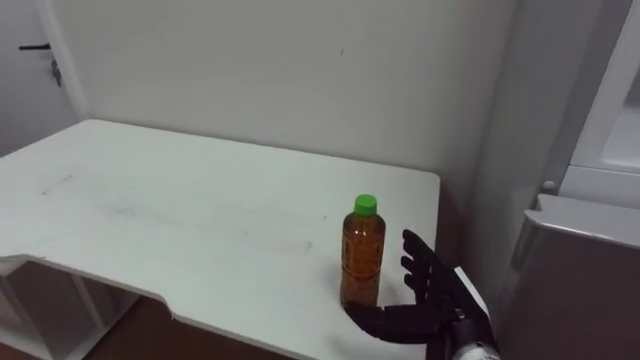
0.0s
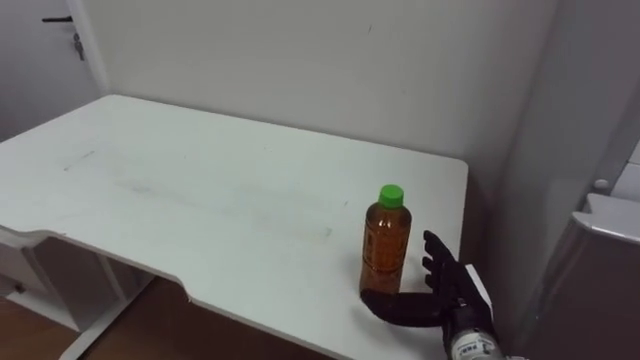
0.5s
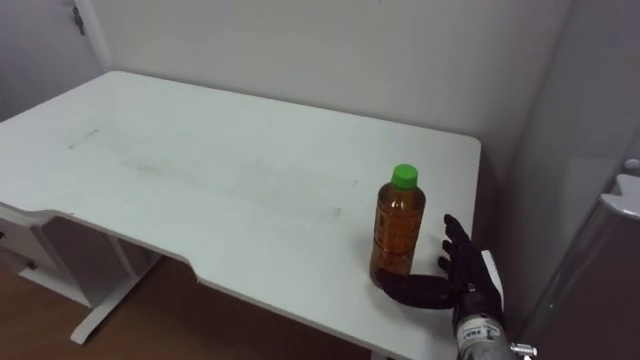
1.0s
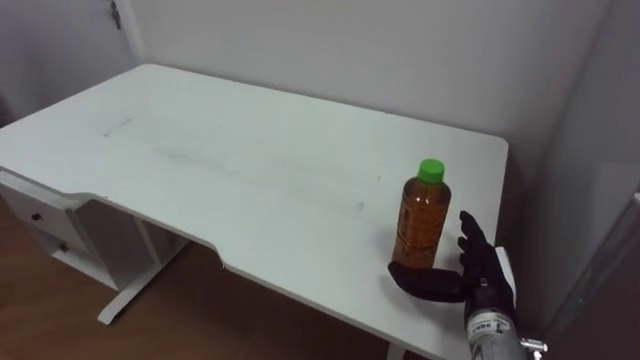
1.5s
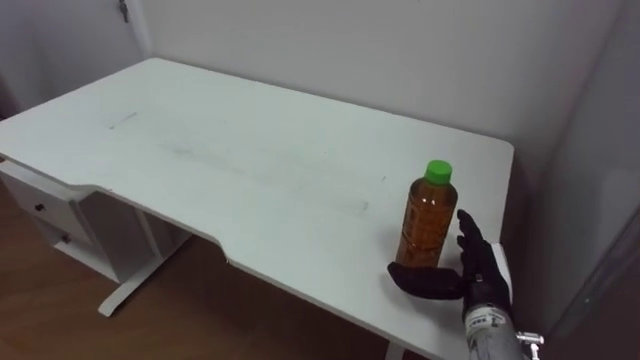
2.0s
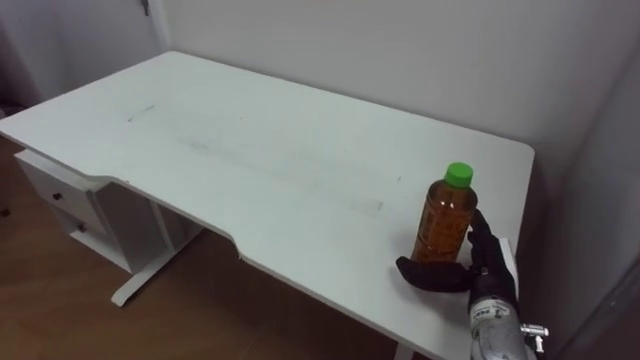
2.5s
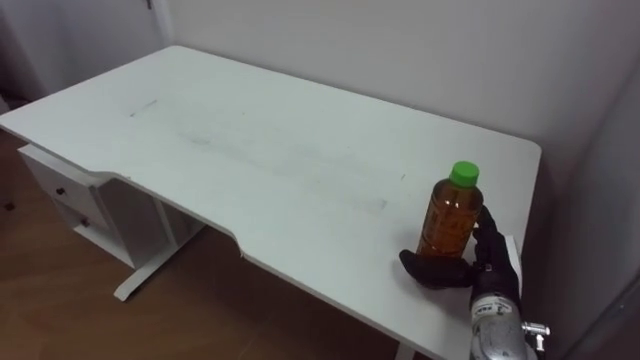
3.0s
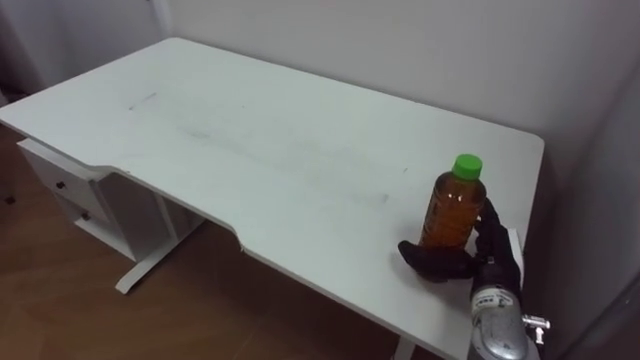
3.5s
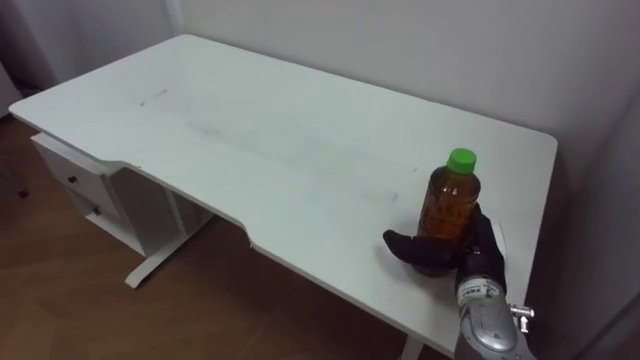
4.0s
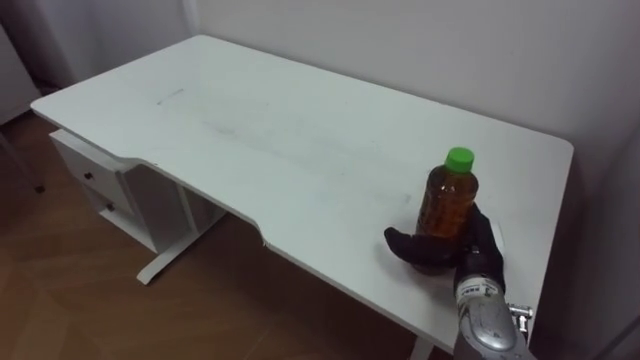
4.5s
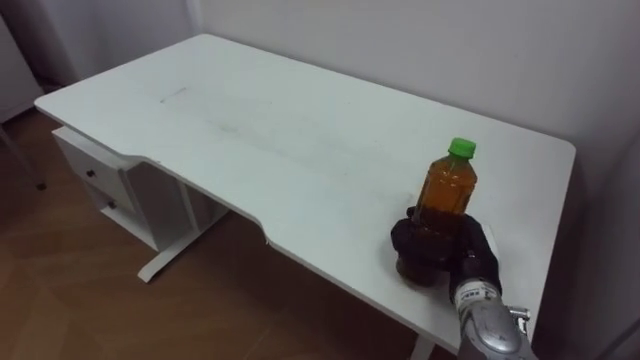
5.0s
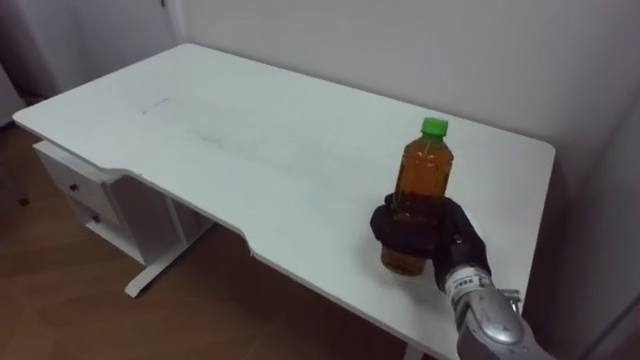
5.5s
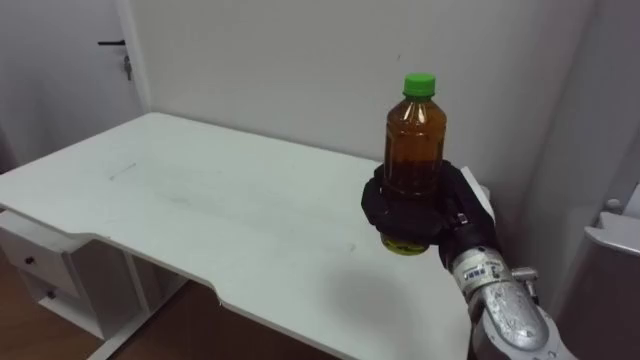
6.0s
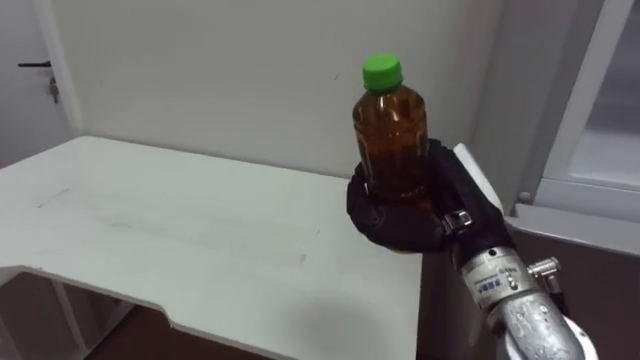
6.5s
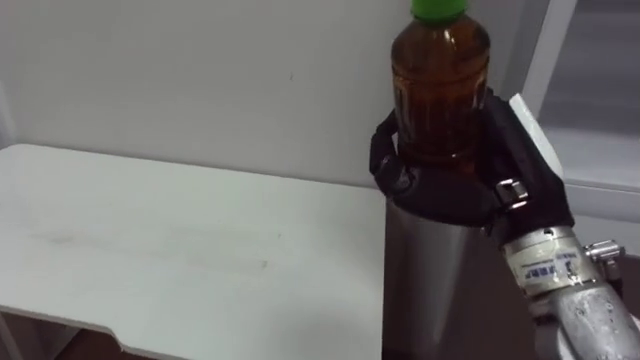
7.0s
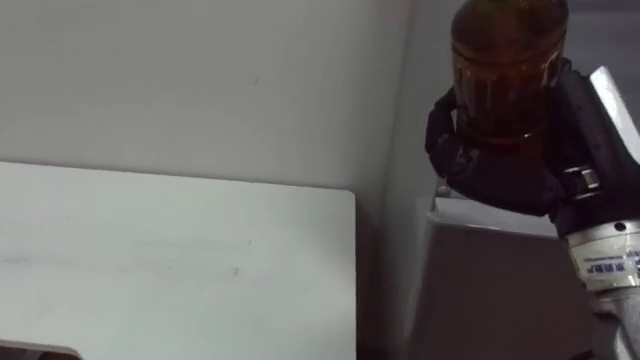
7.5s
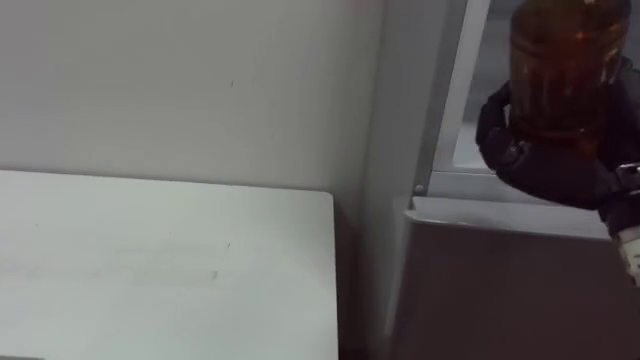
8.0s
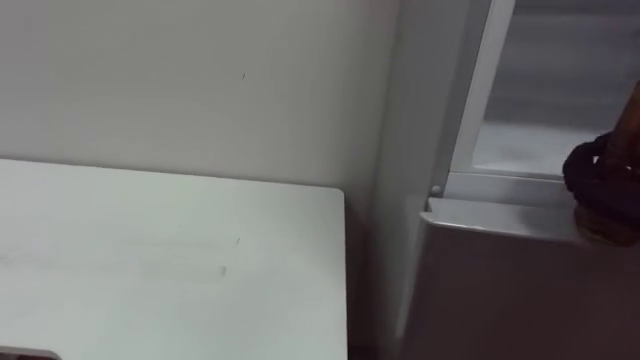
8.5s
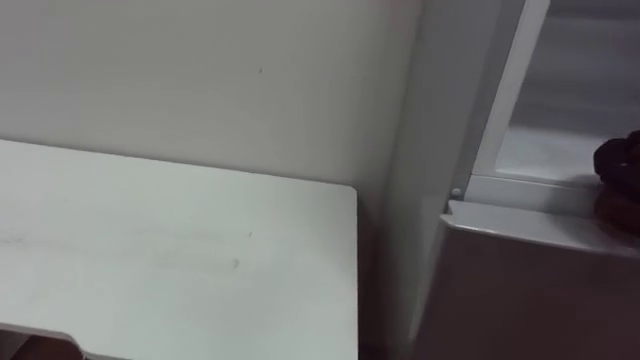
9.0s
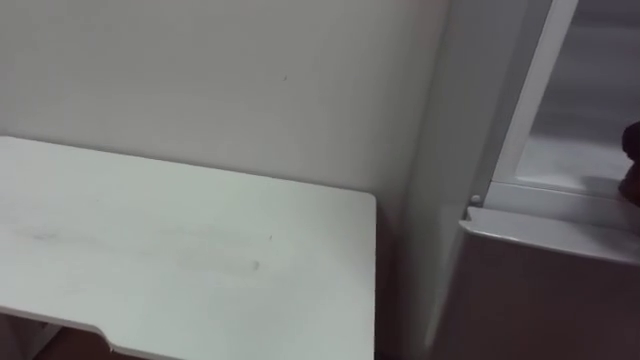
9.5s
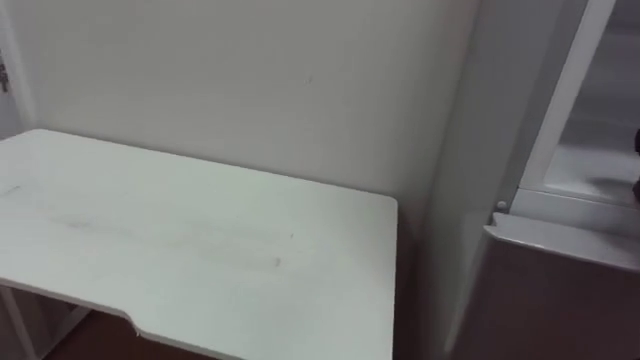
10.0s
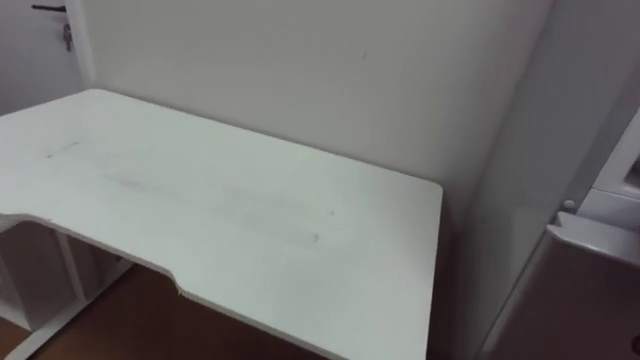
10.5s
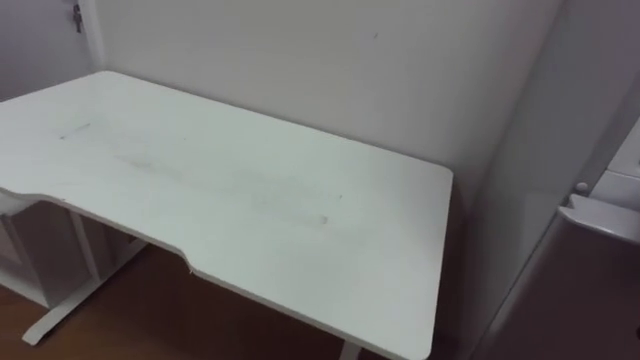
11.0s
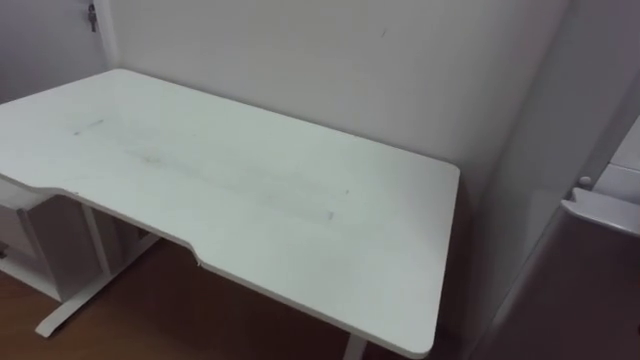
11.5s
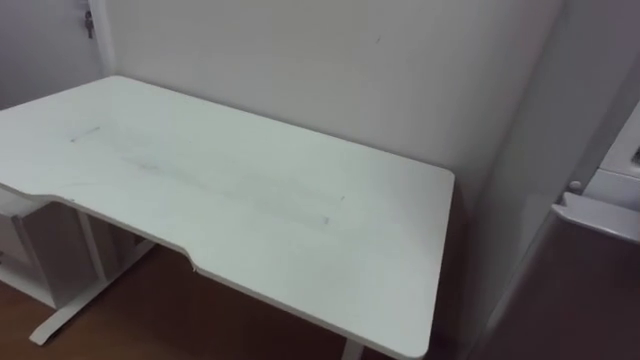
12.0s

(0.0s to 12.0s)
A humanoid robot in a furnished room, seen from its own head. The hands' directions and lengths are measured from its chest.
Task of the whole recording: Open the upper refrigerator door, put the drink from the table into the refrigerator, and then close the refrigerator door.
0.0s - 2.0s: The right hand changes place by about 5 cm.
4.0s - 6.0s: The right hand moves upward, some 10 cm, and closes its fingers.
6.0s - 8.0s: The right hand is displaced upward, backward and to the right by some 15 cm.

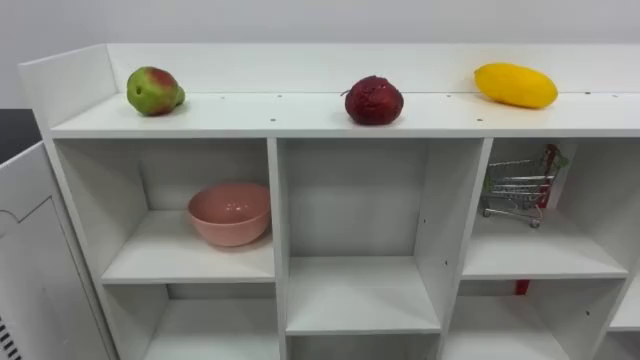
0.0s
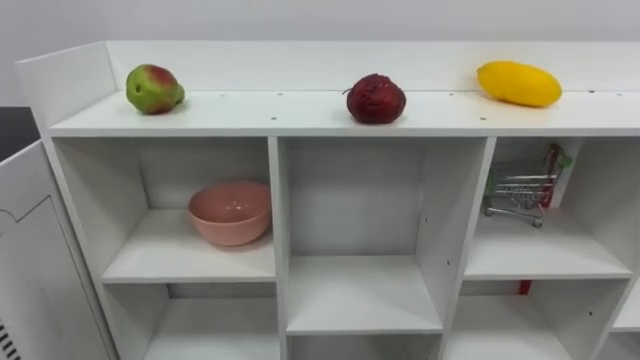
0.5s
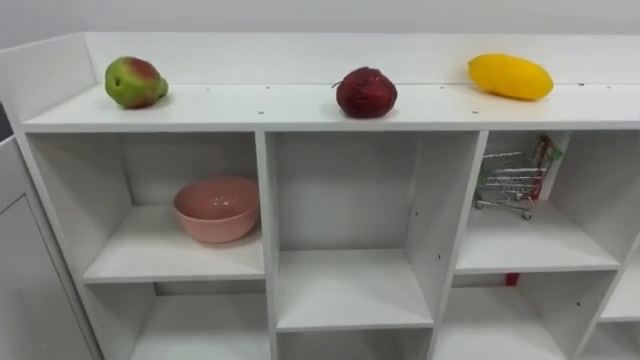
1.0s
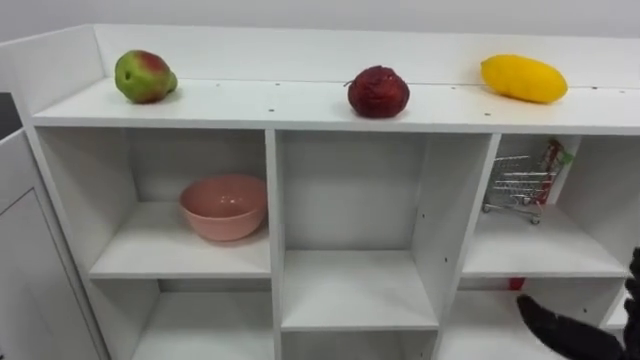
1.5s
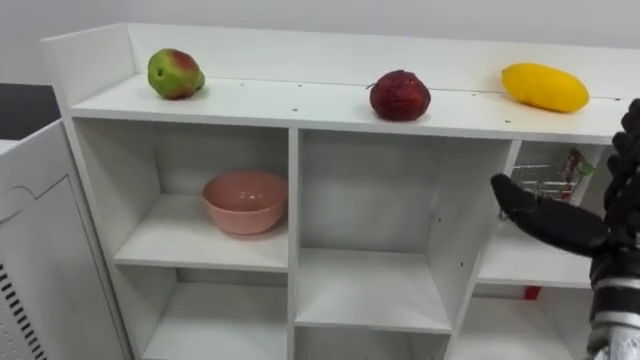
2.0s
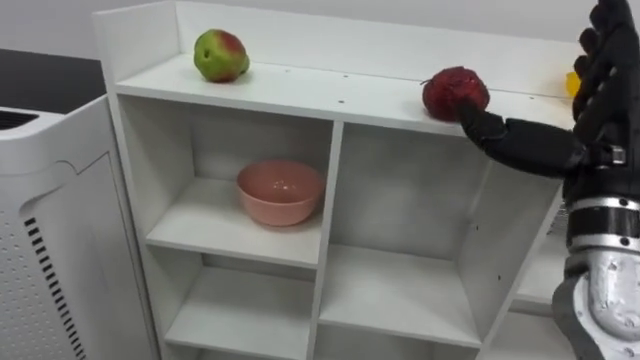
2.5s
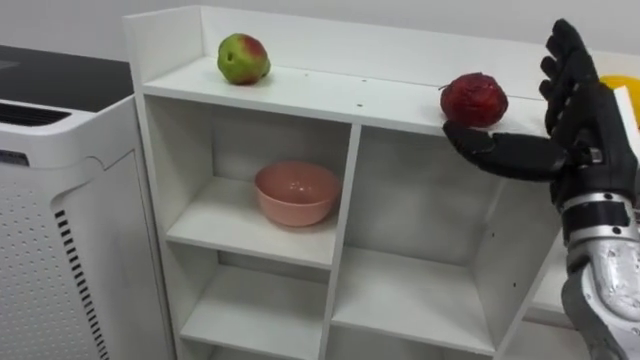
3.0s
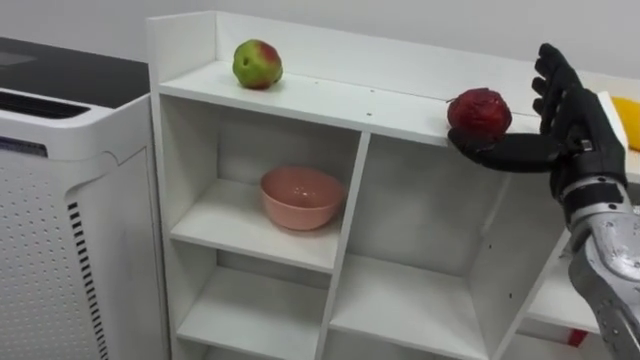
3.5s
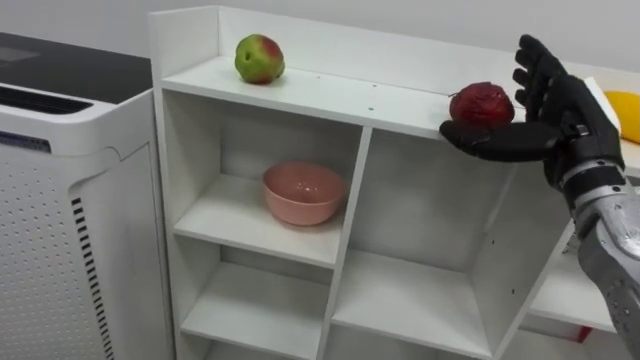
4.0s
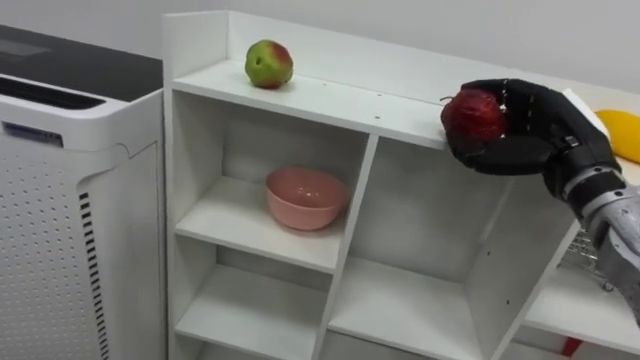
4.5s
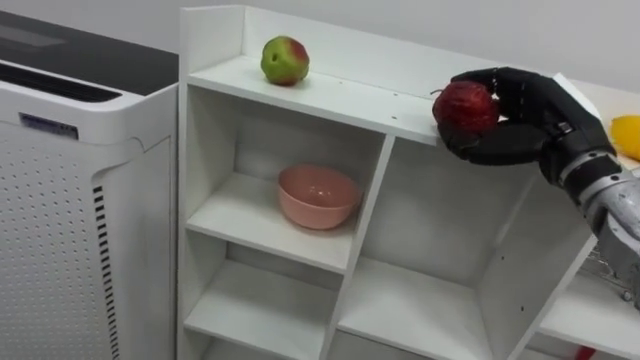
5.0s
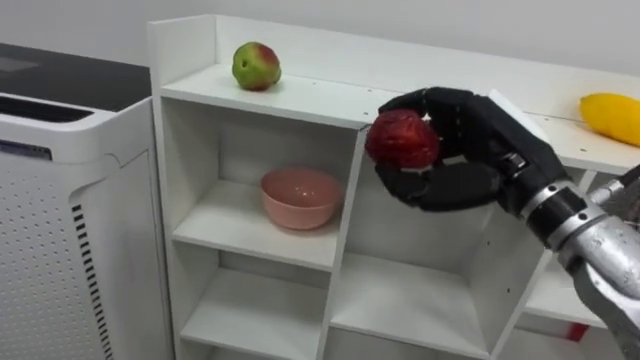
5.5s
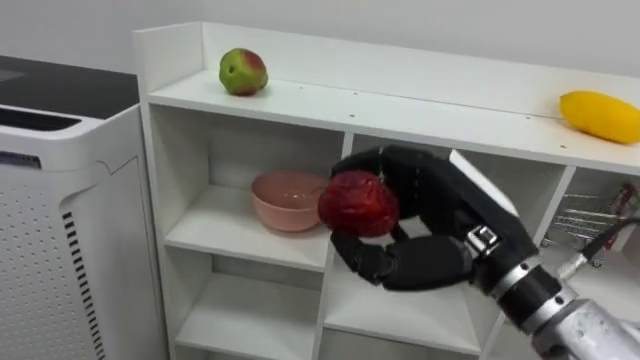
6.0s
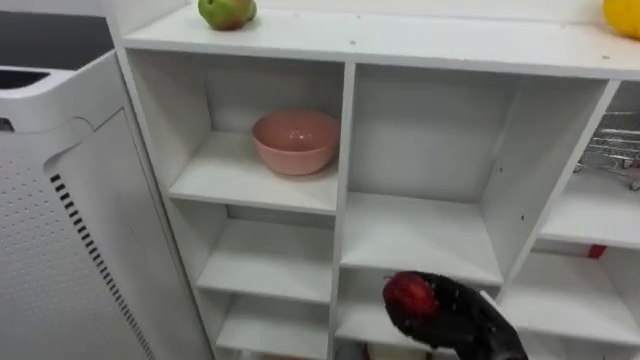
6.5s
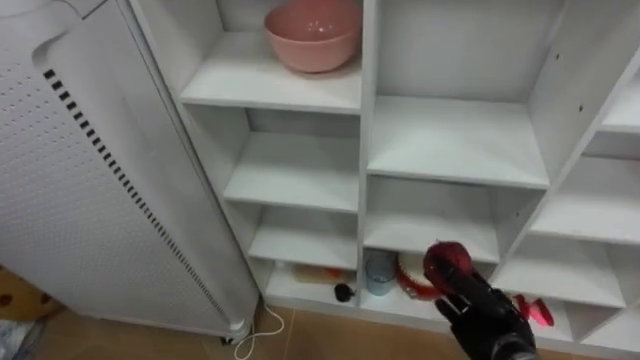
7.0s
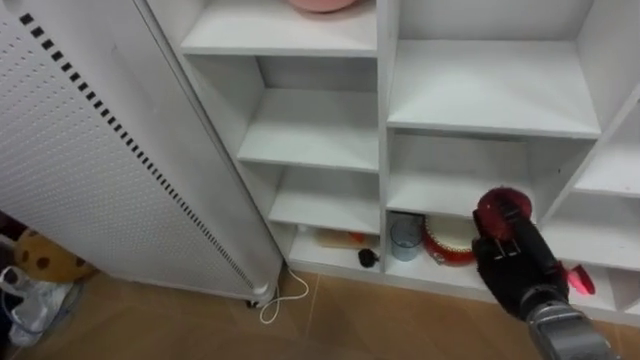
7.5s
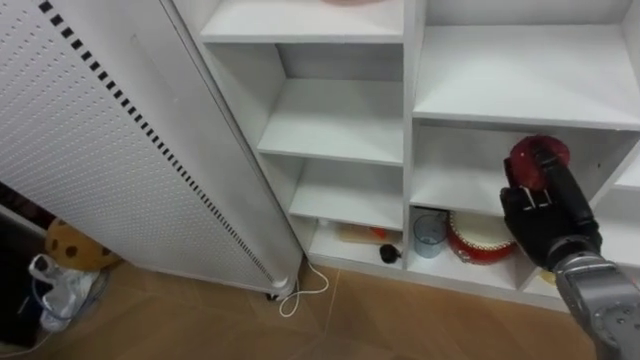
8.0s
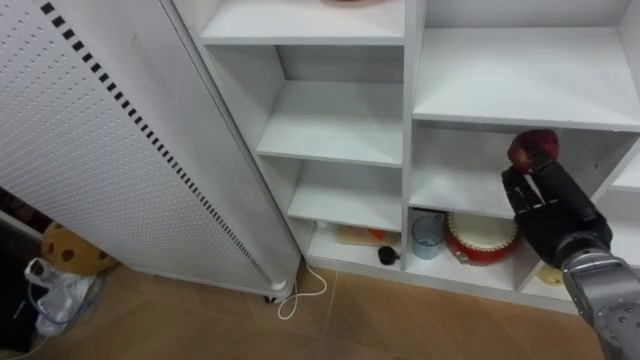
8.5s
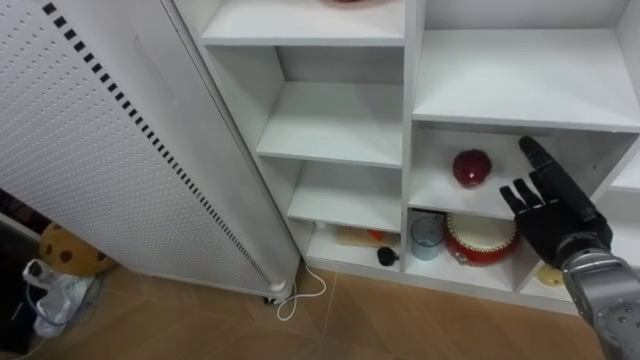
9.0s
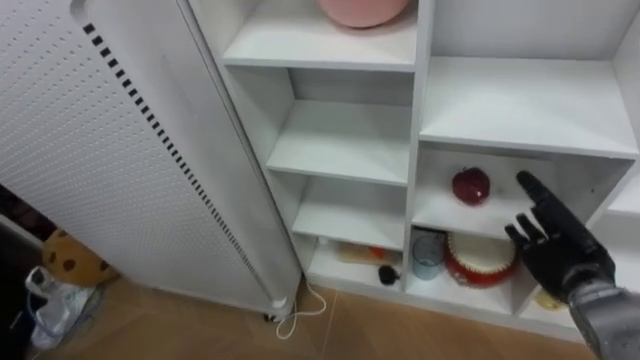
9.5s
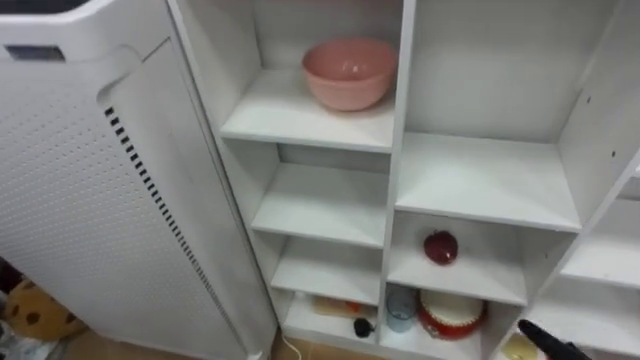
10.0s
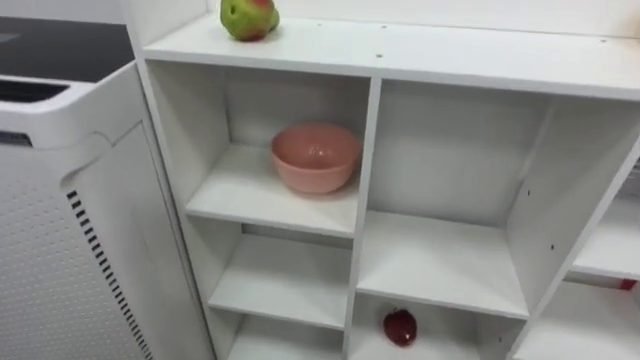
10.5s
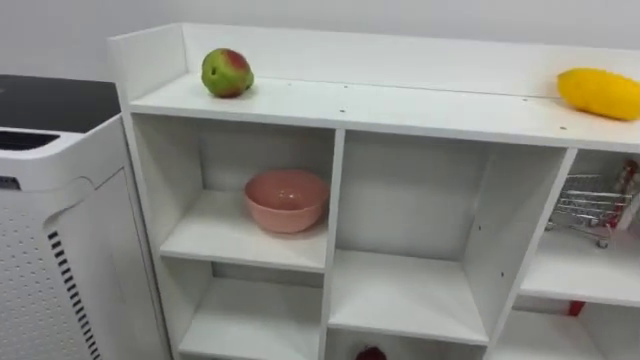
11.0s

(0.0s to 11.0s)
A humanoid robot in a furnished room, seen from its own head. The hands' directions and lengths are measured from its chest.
Task of the whole recording: Put the apple in the cell in the second column from the left and the second row from the top.
2.0s - 3.5s: The right hand goes about 10 cm forward.
3.5s - 5.5s: The right hand goes some 10 cm to the left, and closes up.
5.5s - 7.5s: The right hand moves downward, roughly 20 cm.
7.5s - 9.0s: The right hand shifts about 5 cm upward, and opens.
